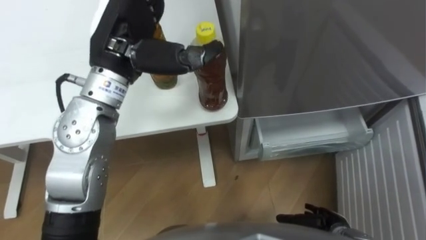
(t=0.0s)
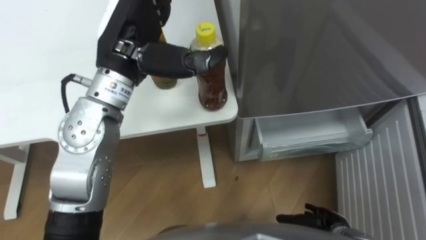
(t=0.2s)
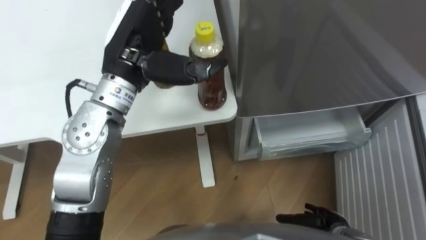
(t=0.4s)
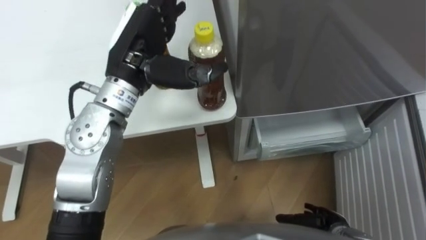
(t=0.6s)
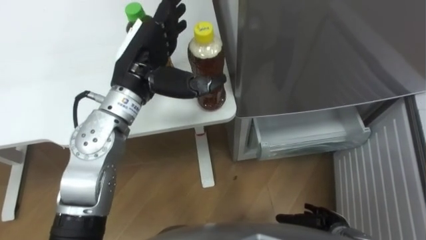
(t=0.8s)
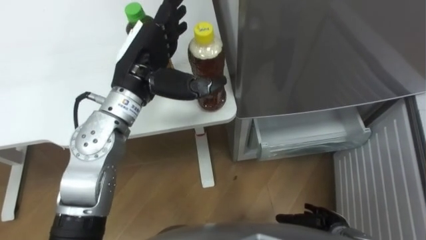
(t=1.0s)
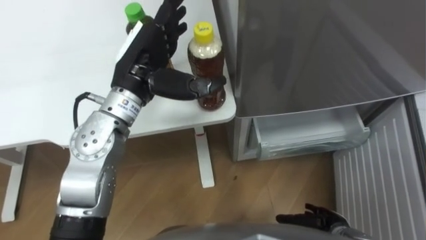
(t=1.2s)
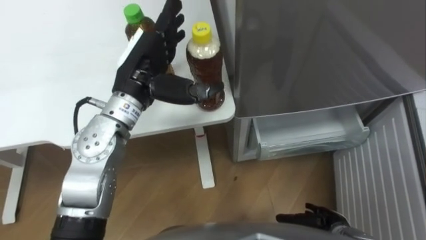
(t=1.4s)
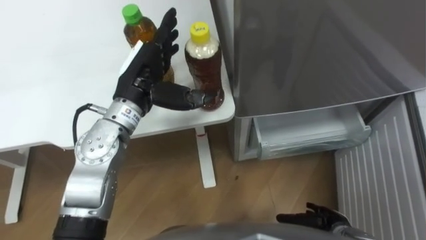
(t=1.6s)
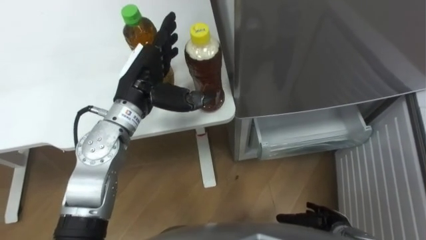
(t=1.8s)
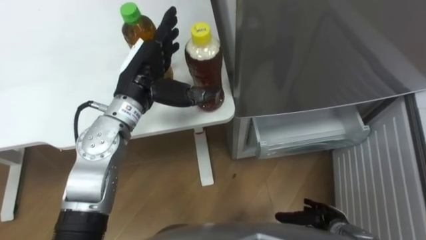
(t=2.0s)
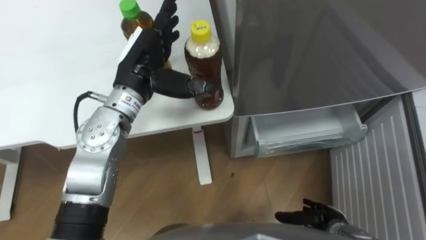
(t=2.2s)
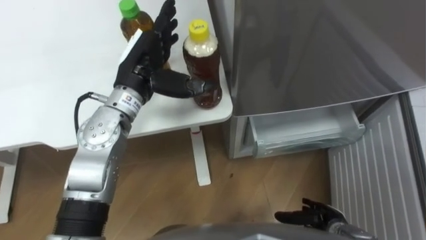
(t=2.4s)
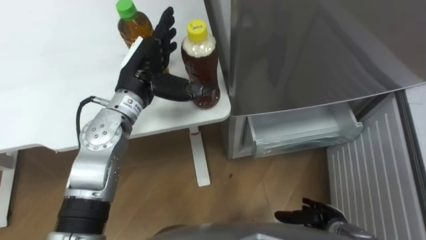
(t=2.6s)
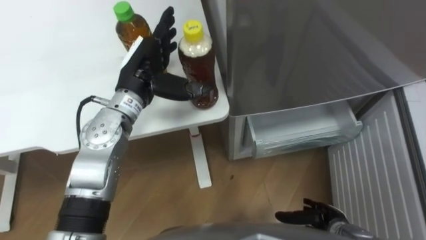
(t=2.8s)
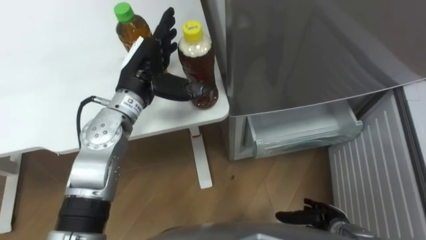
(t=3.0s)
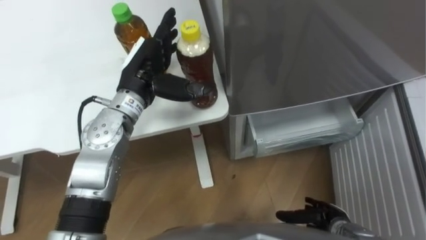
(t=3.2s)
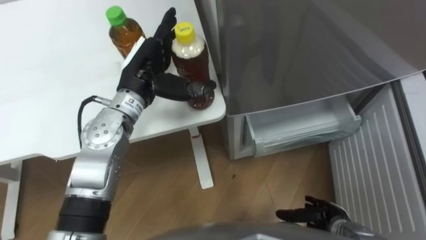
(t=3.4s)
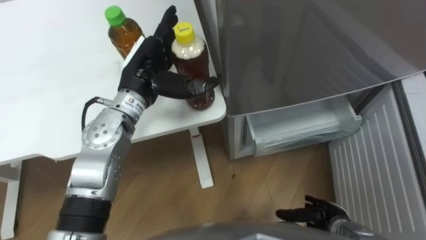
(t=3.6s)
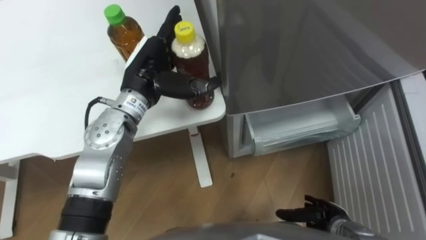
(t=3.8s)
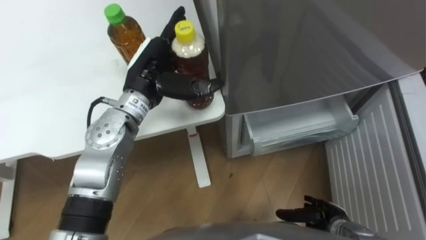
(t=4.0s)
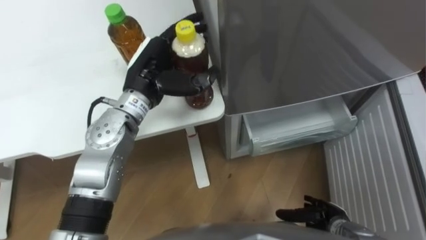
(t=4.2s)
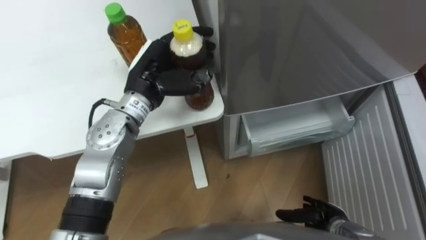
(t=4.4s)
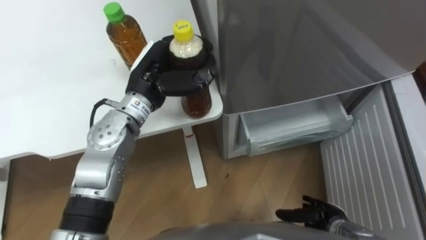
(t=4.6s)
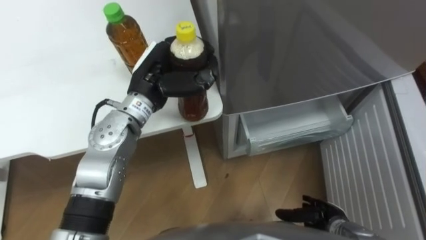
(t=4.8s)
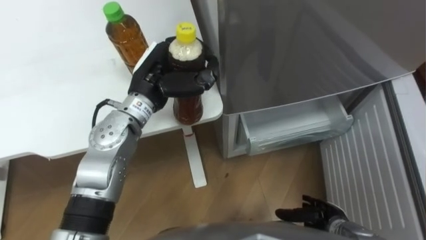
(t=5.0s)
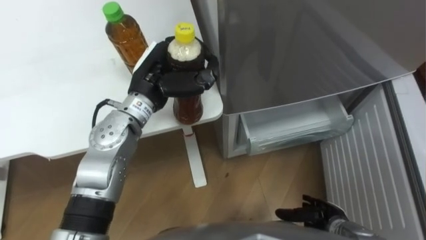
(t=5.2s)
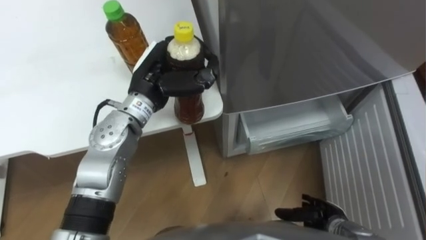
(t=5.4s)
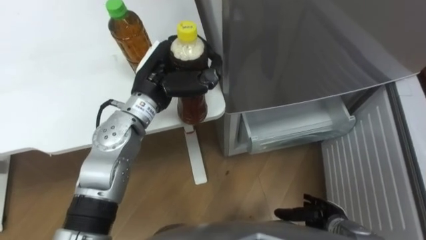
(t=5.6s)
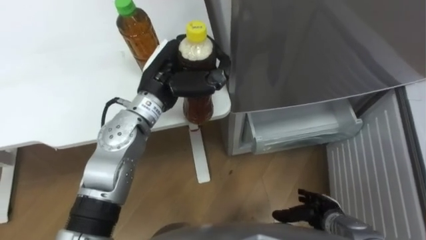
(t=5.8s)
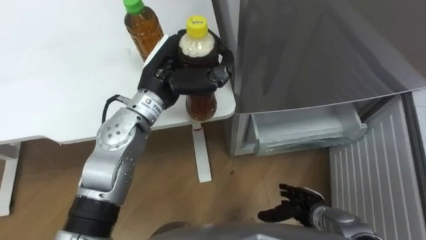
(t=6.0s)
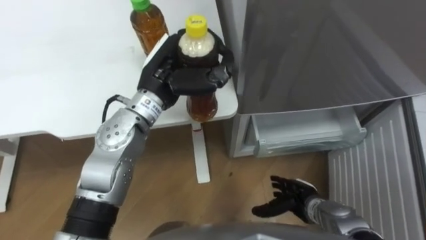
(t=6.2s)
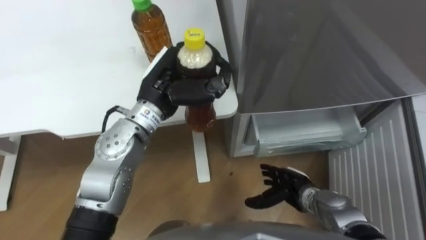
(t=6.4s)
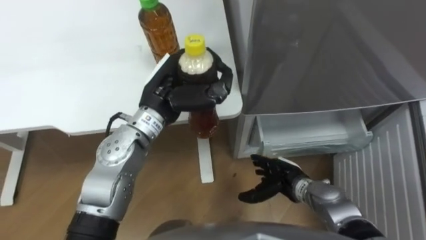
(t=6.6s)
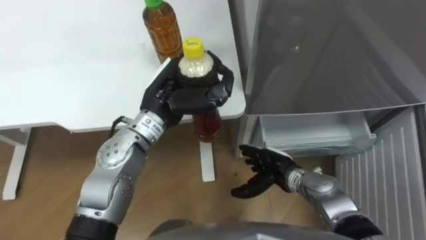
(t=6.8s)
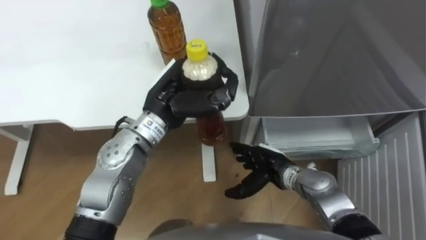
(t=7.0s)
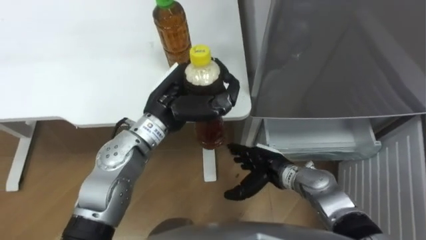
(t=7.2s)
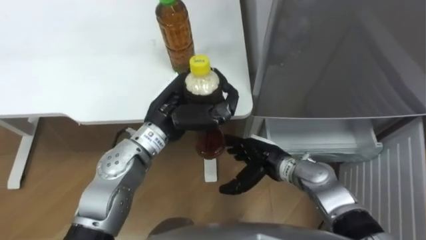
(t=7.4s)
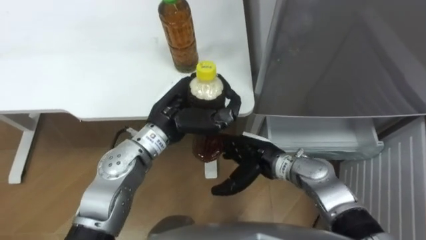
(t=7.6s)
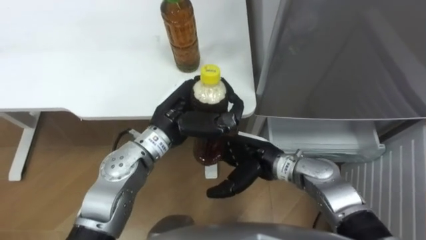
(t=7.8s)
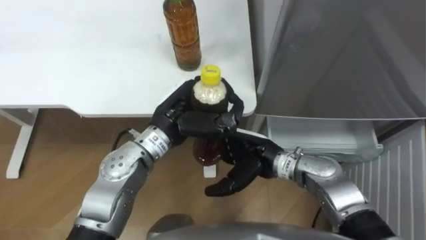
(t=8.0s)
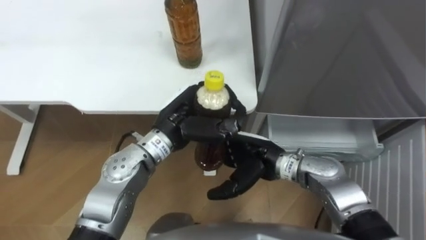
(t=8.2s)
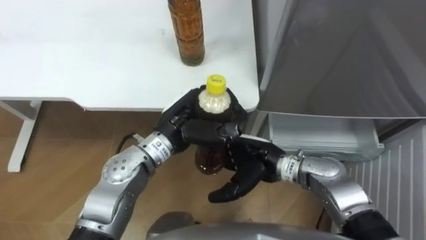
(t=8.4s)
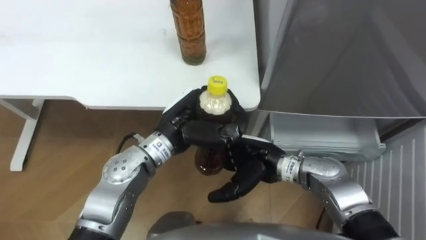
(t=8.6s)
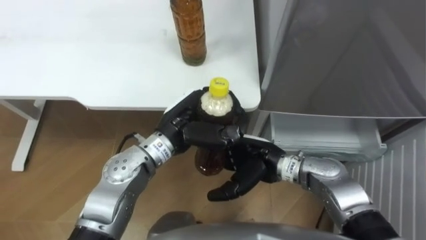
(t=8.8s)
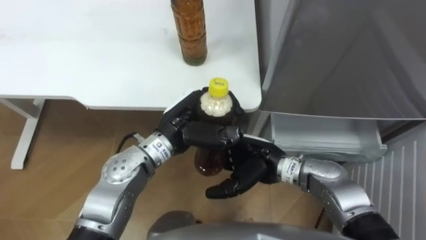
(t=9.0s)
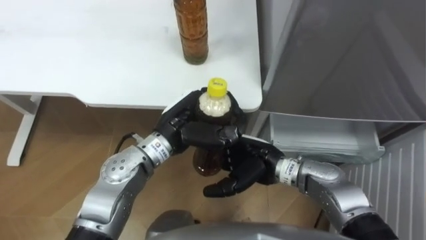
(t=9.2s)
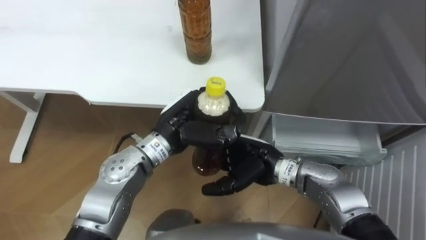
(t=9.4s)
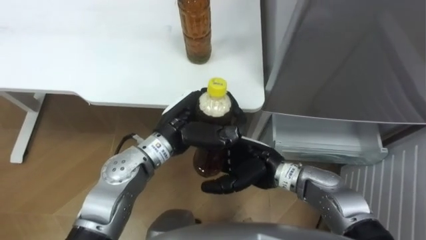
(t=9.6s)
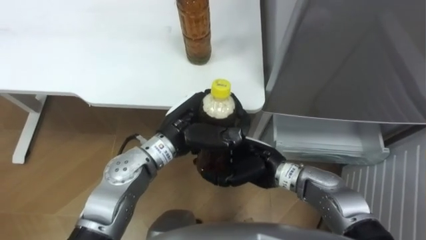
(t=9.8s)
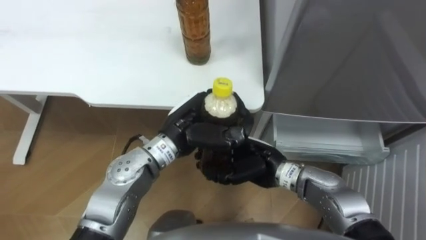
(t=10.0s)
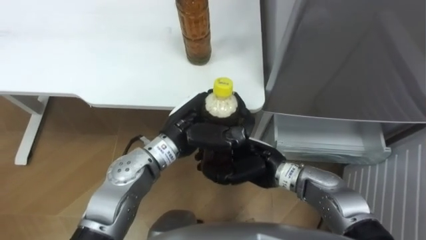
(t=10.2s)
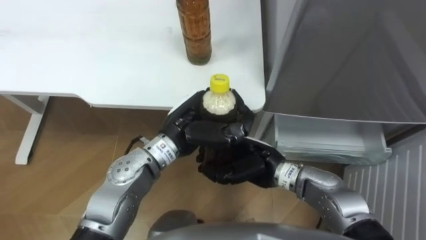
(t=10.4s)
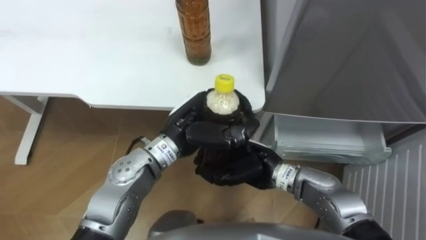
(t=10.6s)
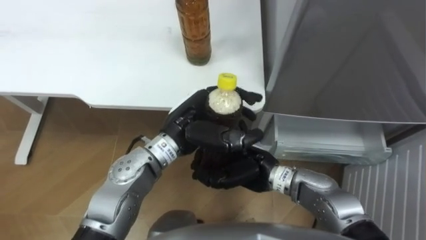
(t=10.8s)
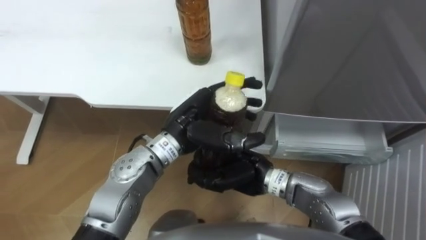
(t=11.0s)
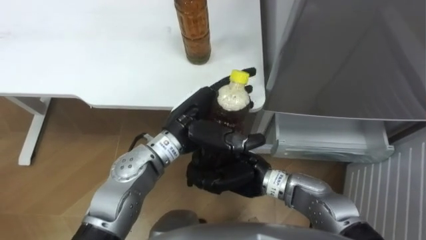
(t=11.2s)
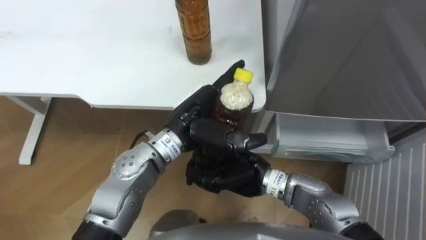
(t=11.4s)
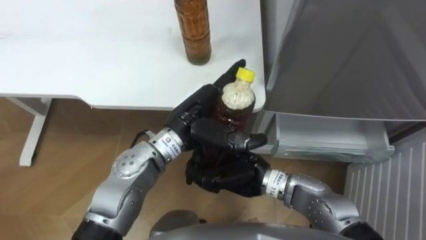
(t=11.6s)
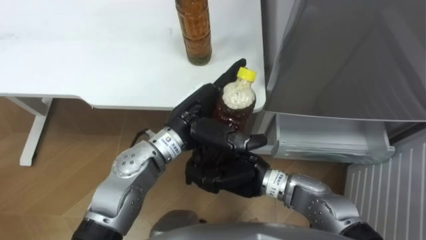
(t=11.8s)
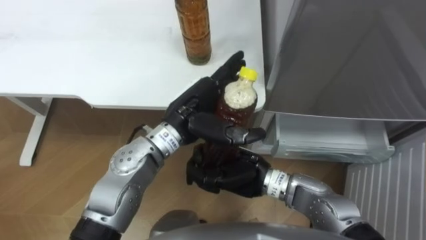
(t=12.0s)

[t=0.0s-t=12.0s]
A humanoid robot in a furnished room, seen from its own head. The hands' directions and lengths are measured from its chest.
Task of the whole recording: Place the drink on the table on the bottom shelf of the refrigerator, then close the drawer and the refrigerator door.
t=0.0s to t=1.6s: The left hand heads downward, covering roughly 10 cm.
t=3.0s to t=4.4s: The left hand closes its fingers.
t=4.4s to t=6.0s: The left hand closes its fingers.
t=6.0s to t=7.6s: The left hand ends up some 5 cm from where it was, while the right hand moves to the left, upward and forward, some 20 cm.
t=9.0s to t=10.4s: The right hand closes.
t=10.4s to t=12.0s: The left hand opens.

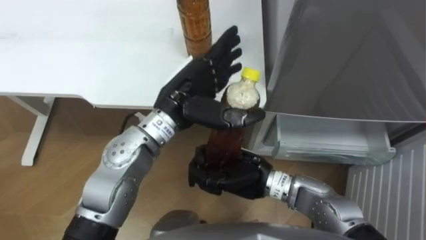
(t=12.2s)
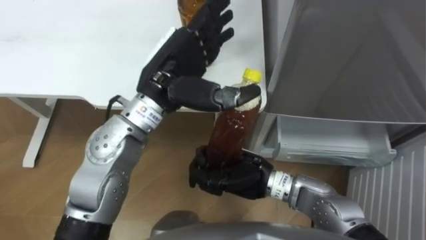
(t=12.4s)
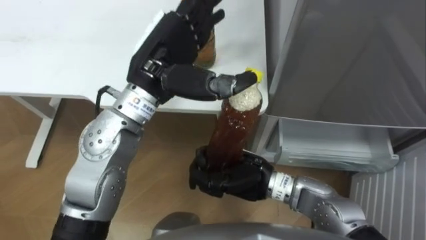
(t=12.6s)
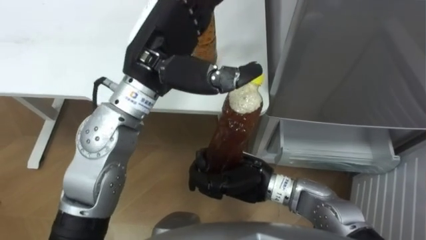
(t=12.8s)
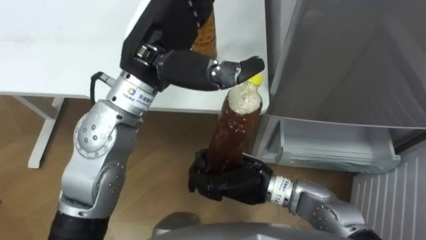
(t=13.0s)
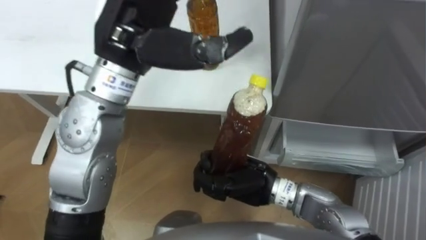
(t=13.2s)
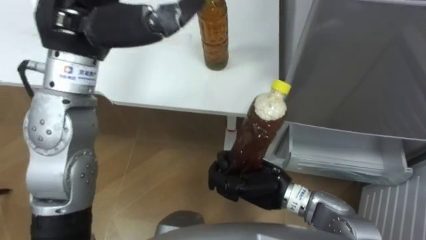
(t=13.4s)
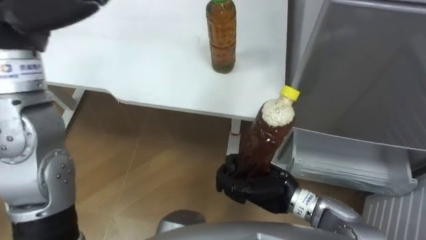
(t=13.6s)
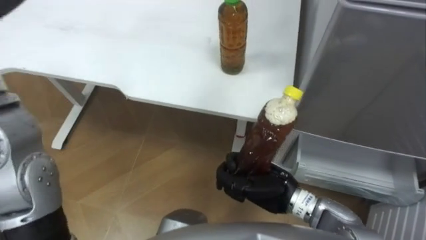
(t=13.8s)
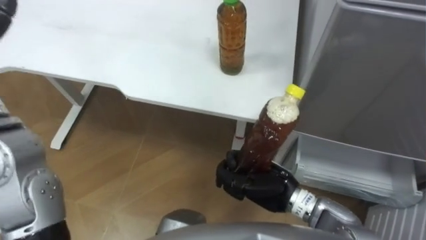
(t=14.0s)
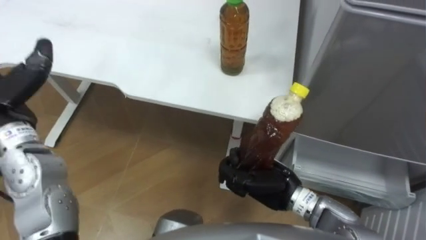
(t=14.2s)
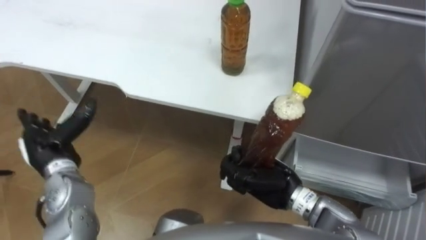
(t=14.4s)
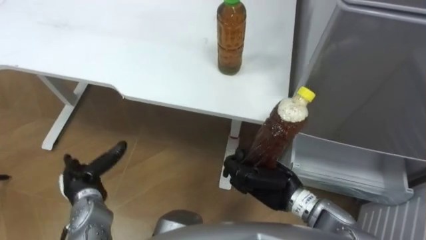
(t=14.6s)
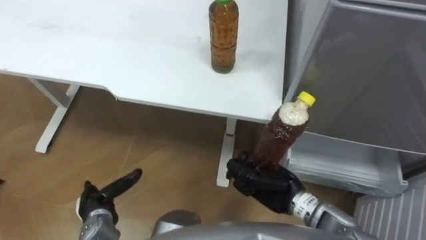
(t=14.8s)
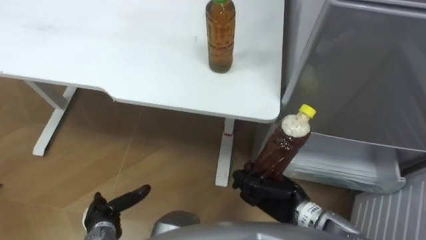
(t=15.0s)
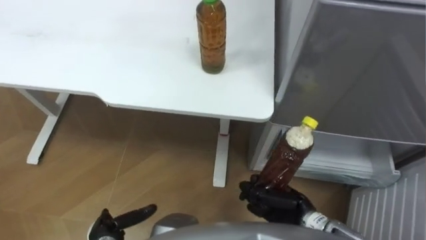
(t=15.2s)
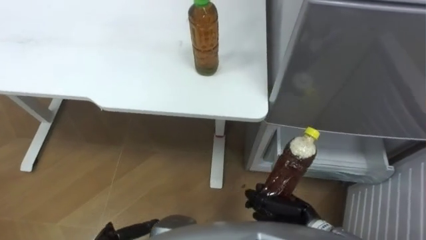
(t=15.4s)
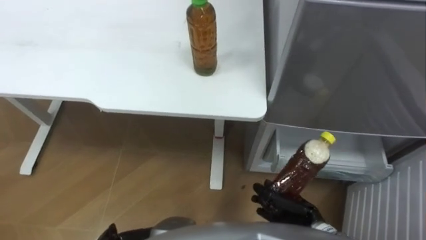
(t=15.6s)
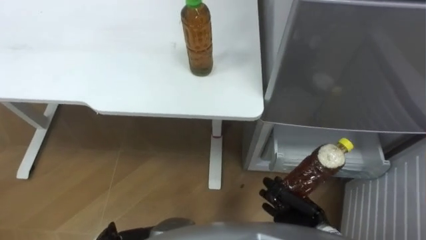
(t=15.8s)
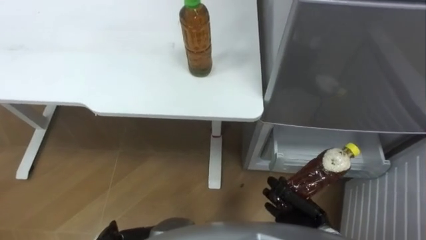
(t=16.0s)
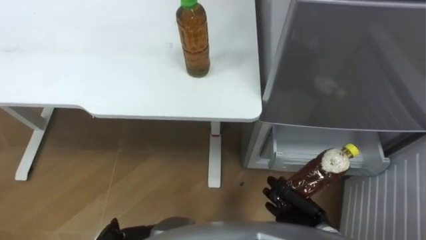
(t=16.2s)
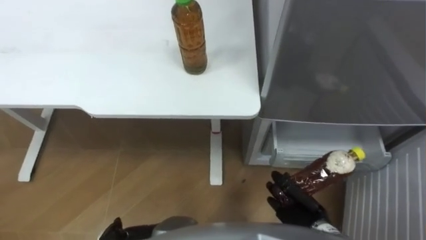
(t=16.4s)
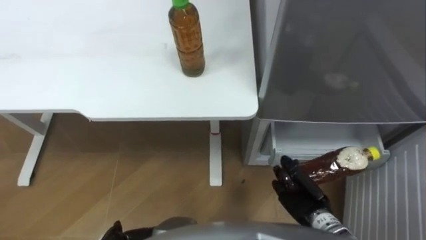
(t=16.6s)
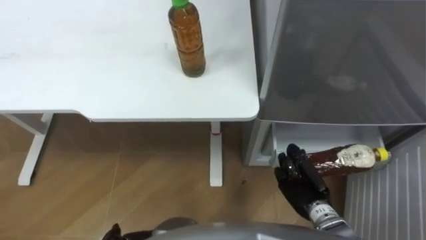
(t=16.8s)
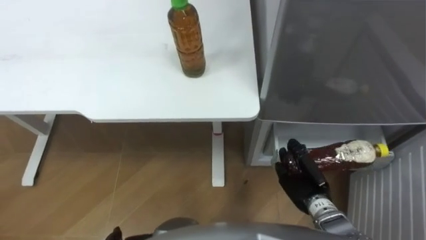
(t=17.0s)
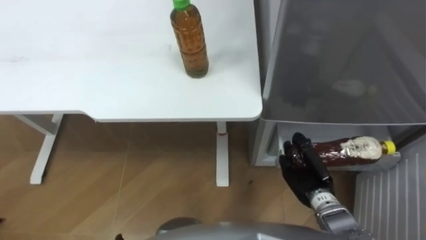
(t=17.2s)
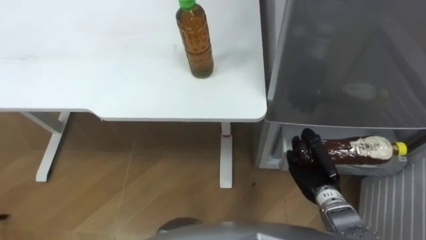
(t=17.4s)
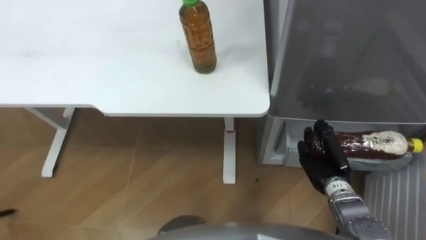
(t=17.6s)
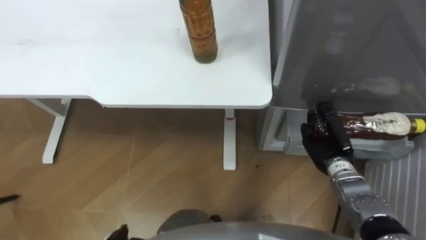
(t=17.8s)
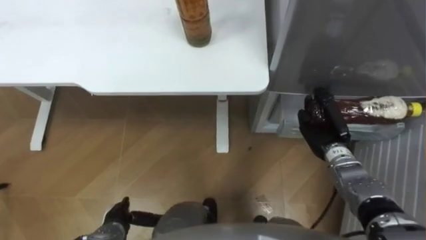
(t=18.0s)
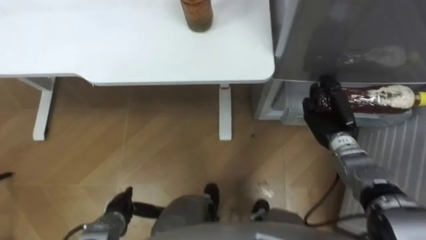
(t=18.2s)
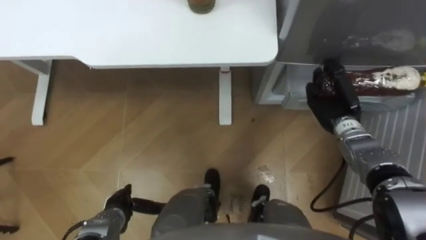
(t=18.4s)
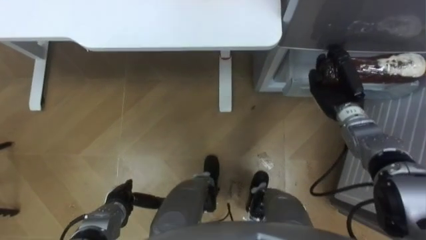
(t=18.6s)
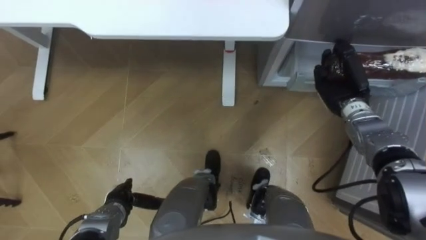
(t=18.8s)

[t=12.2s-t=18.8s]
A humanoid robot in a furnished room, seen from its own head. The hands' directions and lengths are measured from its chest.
Task of the whole recording: Place the drink on the table on the bottom shelf of the refrigerator, then close the drawer and the refrigerator door.
t=12.2s to t=13.8s: The right hand is displaced to the right by about 5 cm.
t=13.8s to t=15.4s: The right hand goes some 10 cm downward, to the right and backward.
t=15.4s to t=17.2s: The right hand goes some 5 cm forward.
t=17.2s to t=18.8s: The right hand shifts some 20 cm forward and upward.
